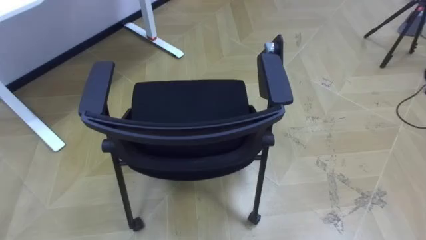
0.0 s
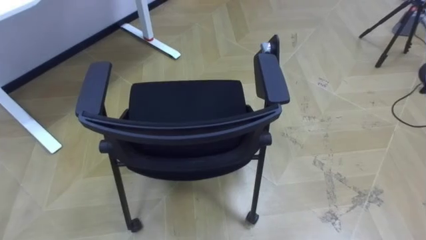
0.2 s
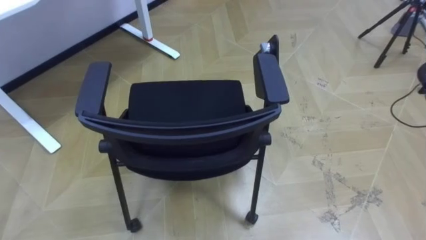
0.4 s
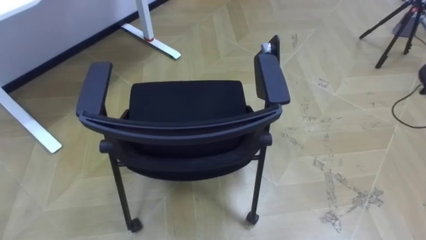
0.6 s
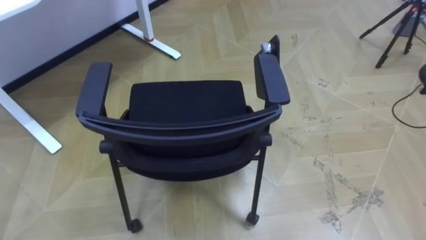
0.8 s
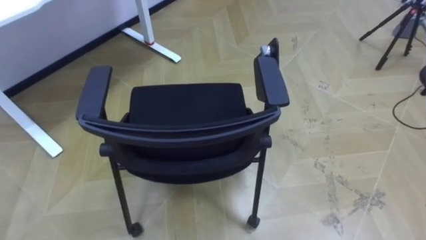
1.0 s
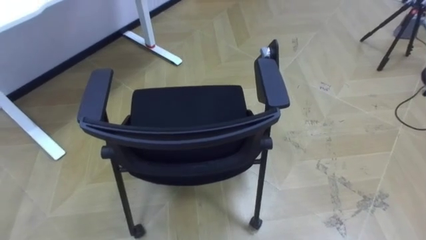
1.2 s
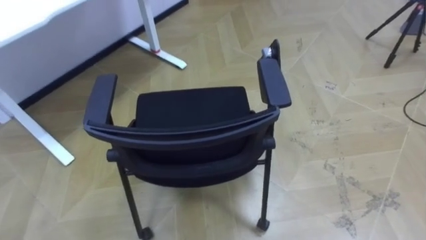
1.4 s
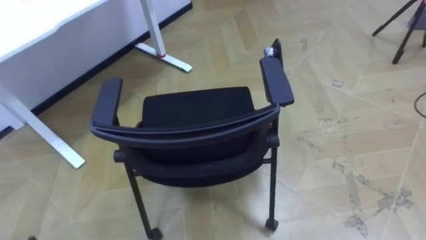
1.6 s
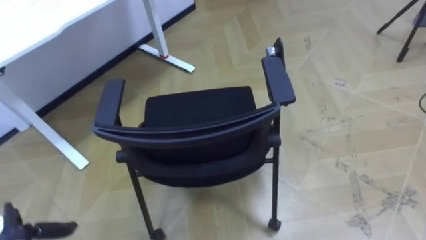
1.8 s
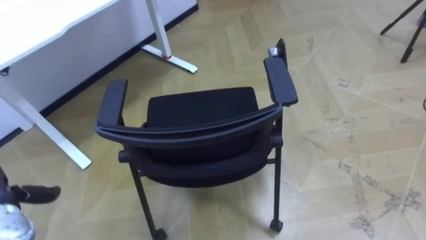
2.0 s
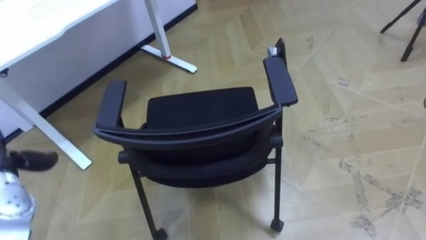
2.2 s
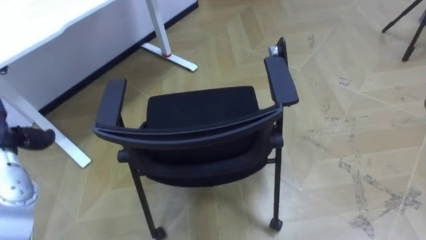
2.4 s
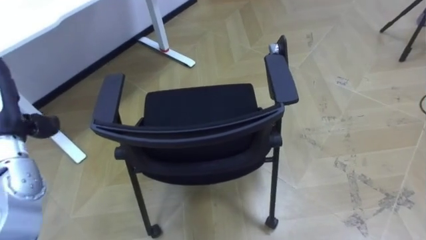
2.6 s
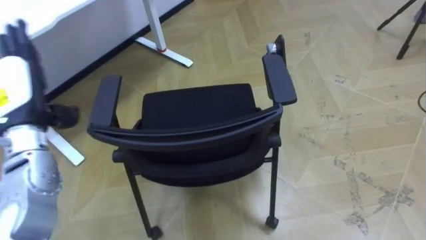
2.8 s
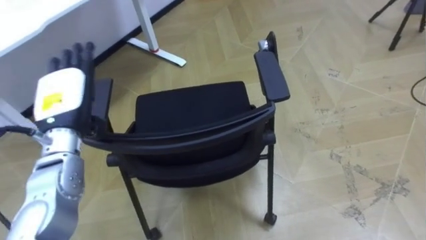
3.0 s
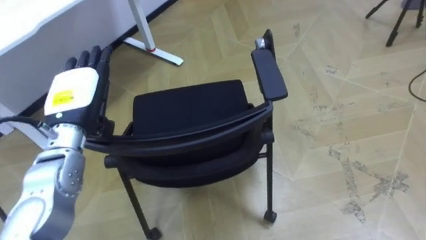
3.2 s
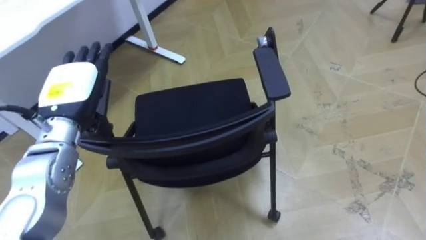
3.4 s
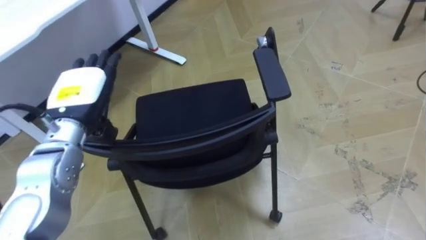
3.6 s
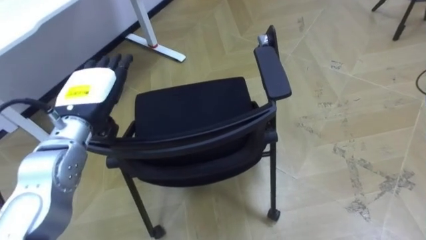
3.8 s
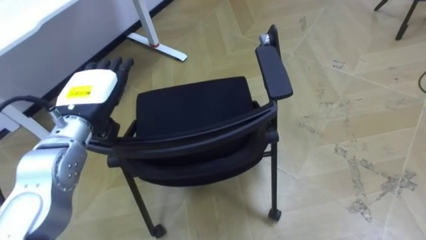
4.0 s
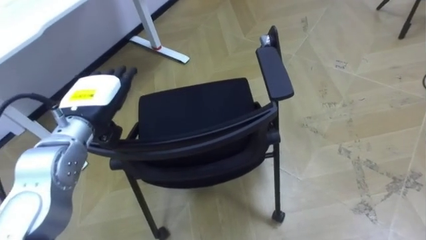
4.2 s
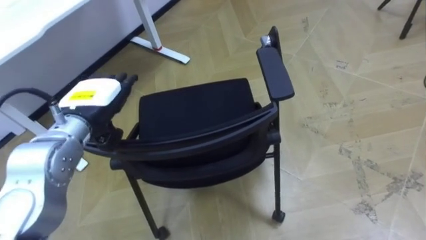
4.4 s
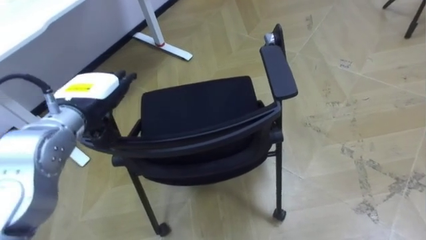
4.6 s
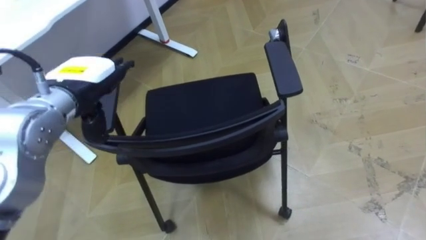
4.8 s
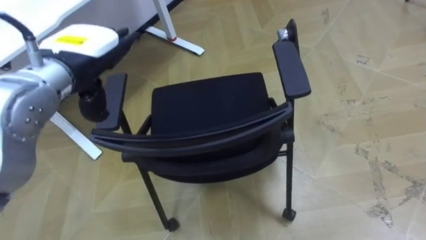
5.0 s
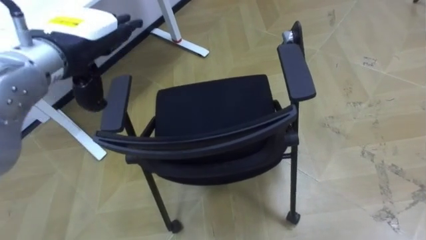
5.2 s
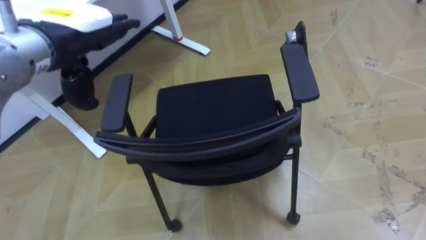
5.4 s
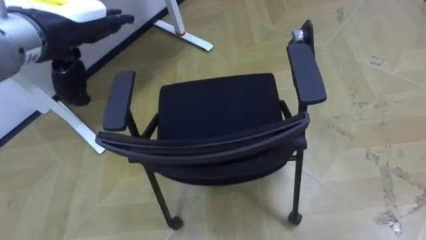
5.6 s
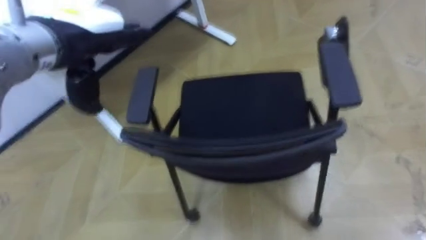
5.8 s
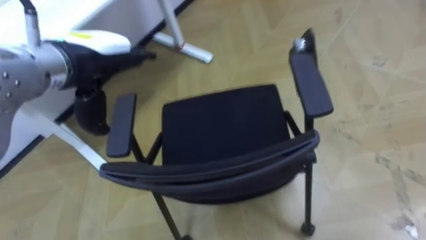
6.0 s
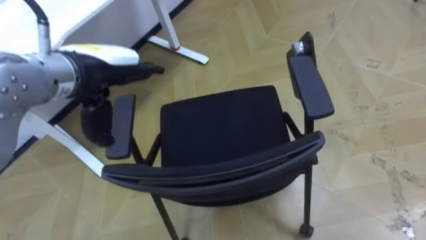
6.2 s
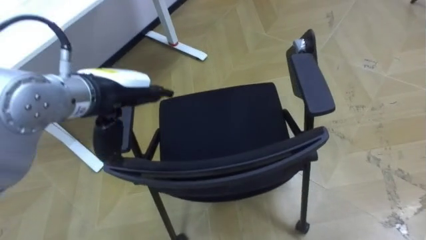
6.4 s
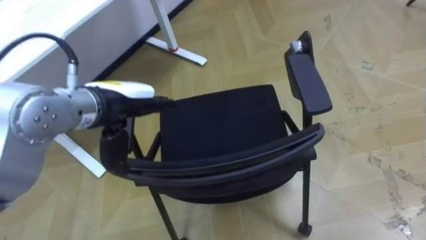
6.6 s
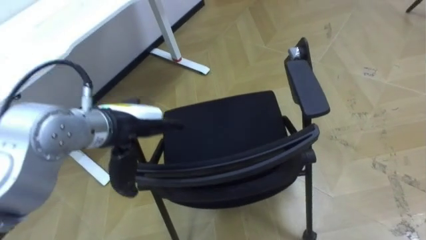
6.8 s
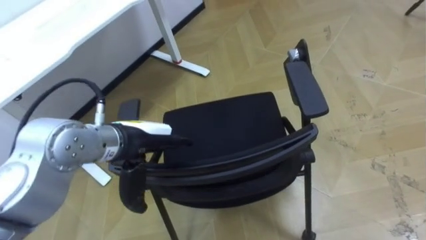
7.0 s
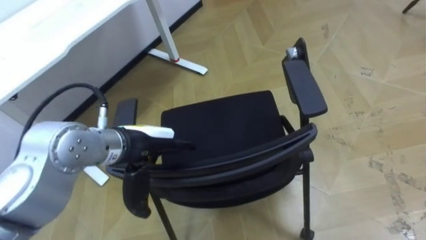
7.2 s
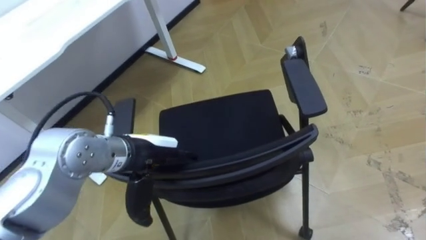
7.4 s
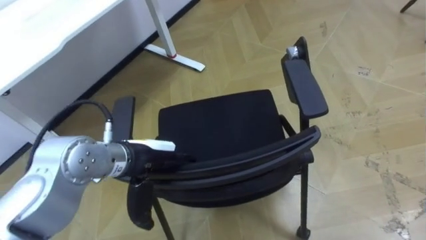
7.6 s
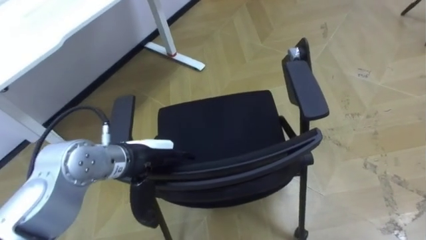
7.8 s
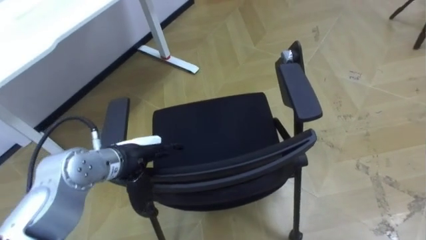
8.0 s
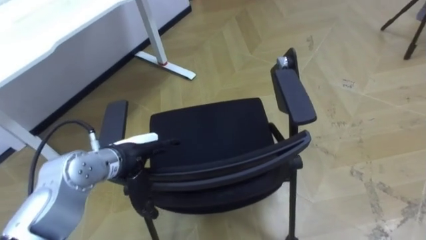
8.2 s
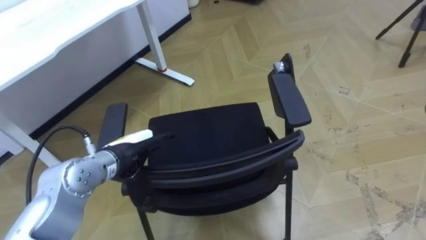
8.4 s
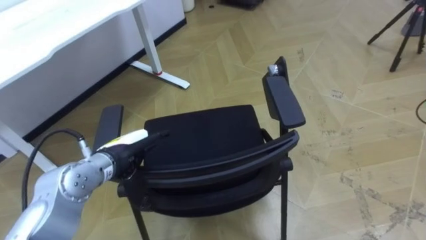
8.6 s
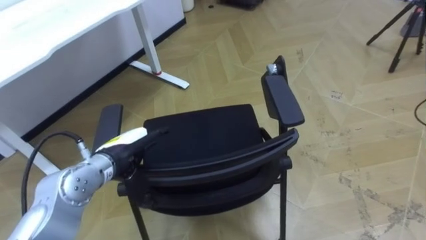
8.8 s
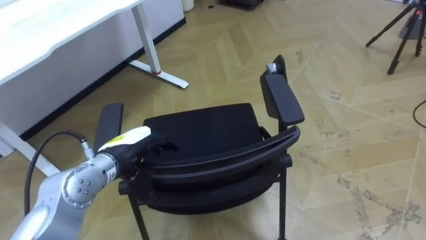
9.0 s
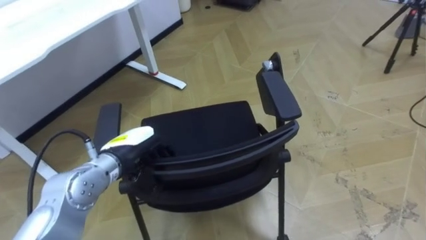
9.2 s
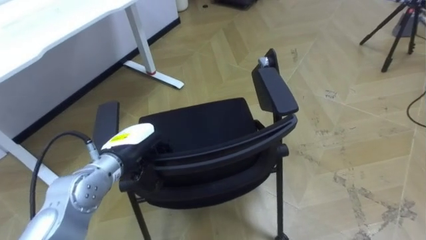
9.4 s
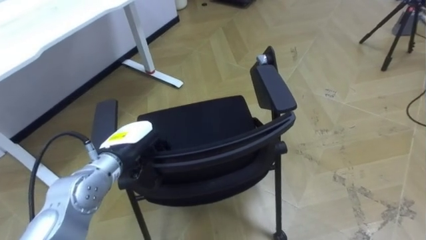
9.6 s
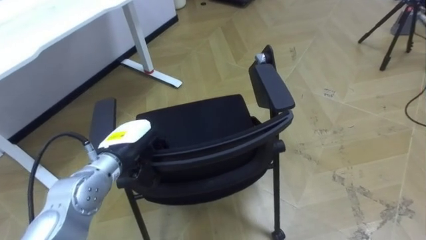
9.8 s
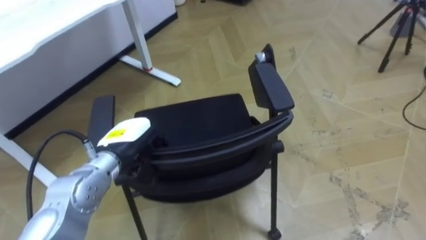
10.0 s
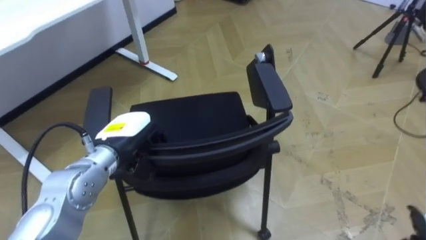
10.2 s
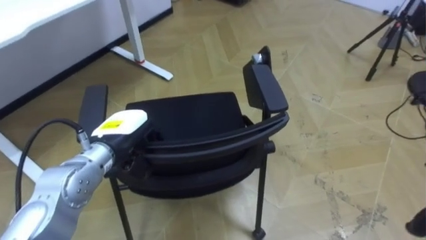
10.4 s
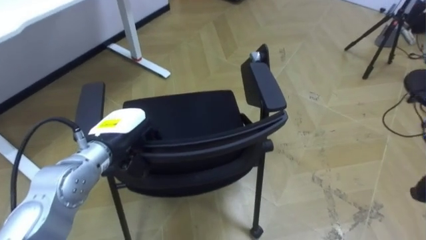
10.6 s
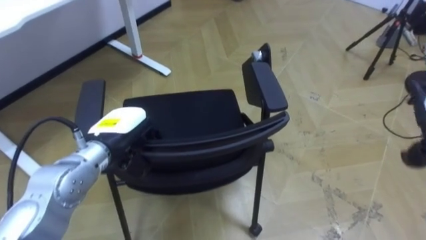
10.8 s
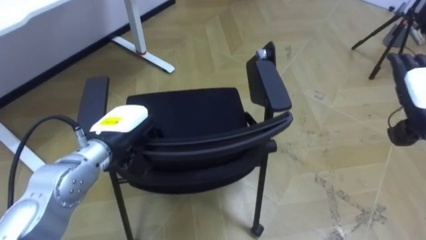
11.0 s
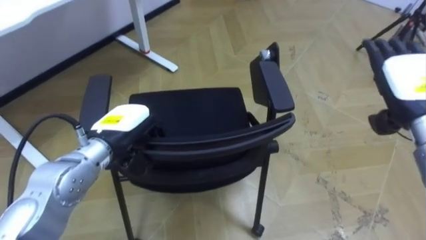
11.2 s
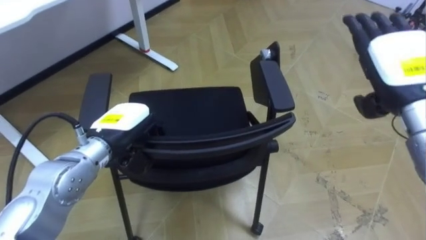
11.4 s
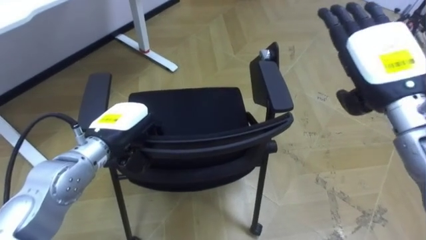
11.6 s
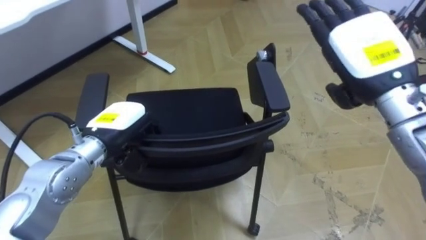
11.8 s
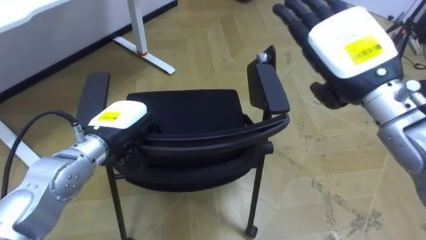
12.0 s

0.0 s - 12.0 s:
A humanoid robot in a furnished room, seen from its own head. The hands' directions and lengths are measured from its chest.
Task of the whole recording: Push the chair under the table.
4.4 s - 6.0 s: The left hand shifts some 10 cm upward.
6.0 s - 7.6 s: The left hand shifts some 15 cm downward and backward.
7.6 s - 9.0 s: The left hand ends up roughly 5 cm from where it was.
9.0 s - 10.4 s: The left hand closes.

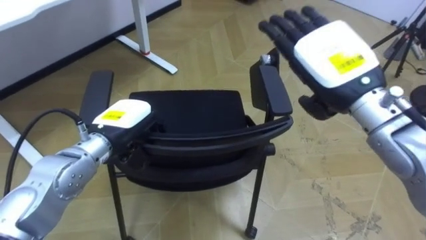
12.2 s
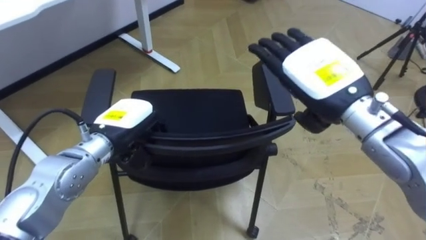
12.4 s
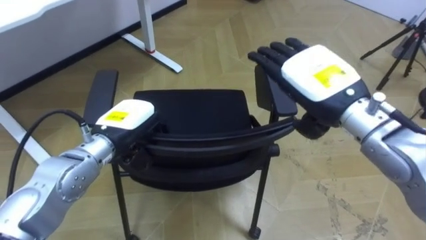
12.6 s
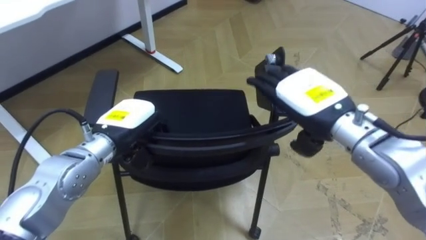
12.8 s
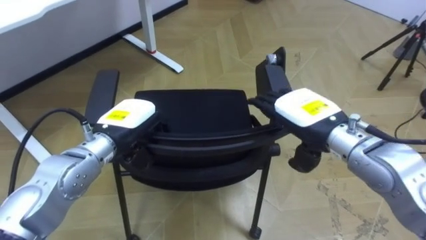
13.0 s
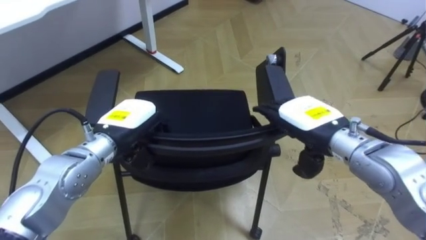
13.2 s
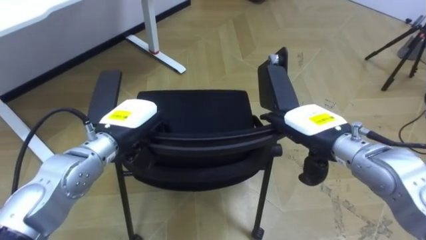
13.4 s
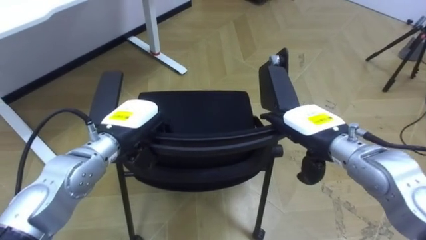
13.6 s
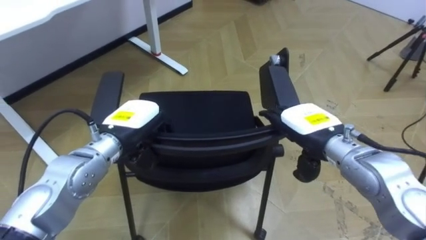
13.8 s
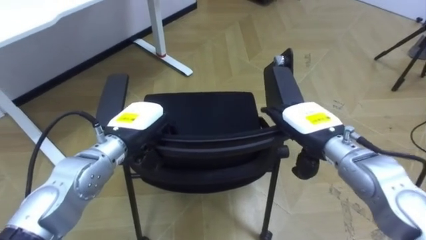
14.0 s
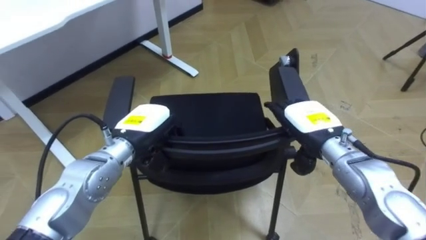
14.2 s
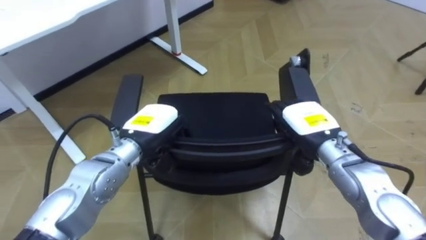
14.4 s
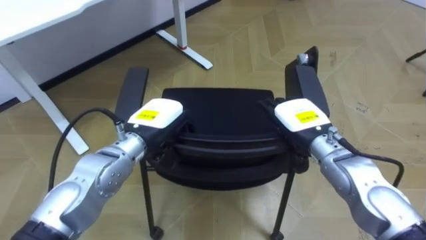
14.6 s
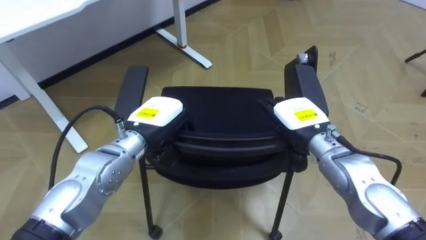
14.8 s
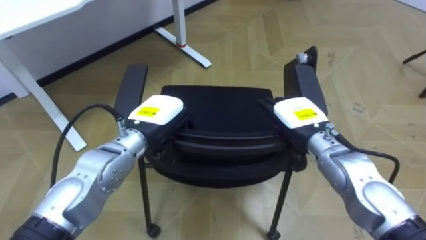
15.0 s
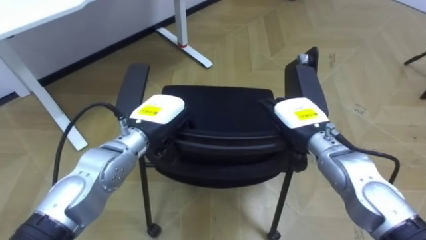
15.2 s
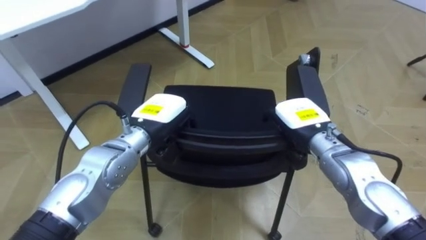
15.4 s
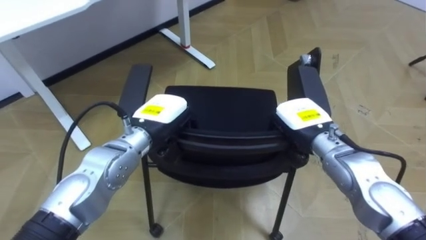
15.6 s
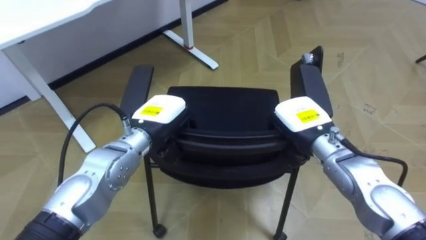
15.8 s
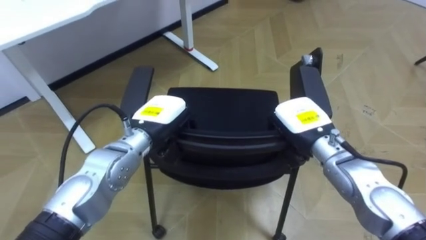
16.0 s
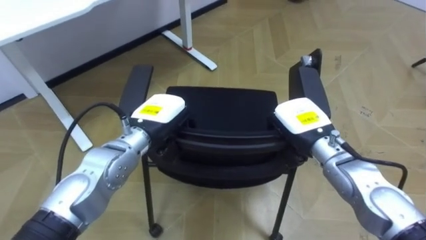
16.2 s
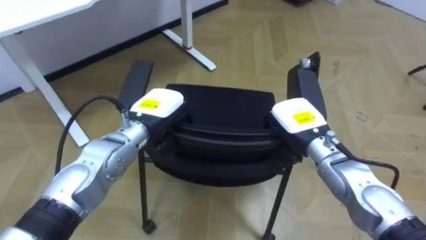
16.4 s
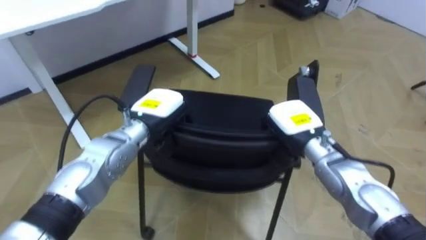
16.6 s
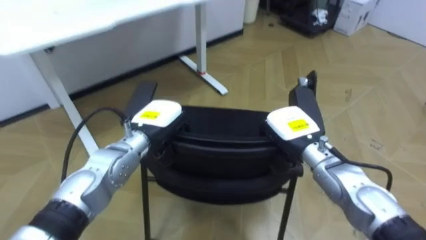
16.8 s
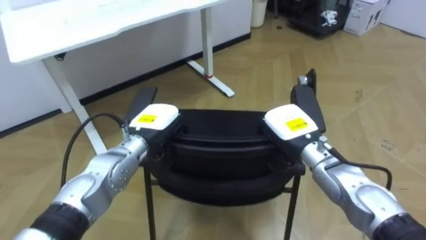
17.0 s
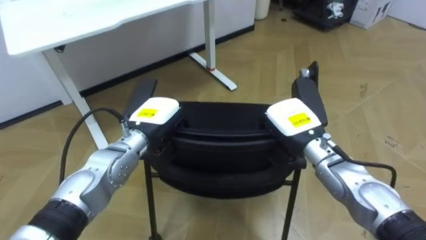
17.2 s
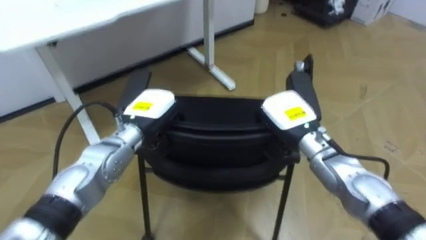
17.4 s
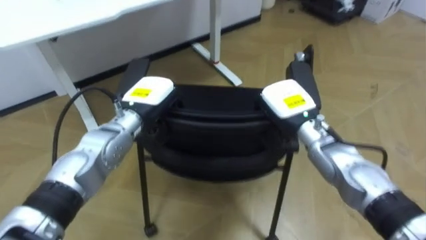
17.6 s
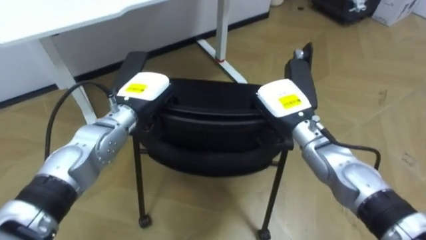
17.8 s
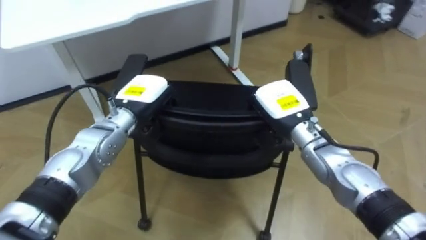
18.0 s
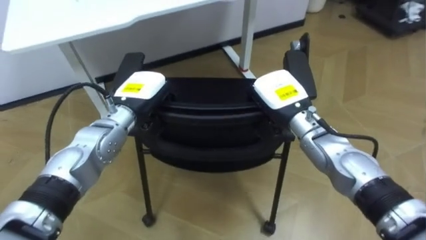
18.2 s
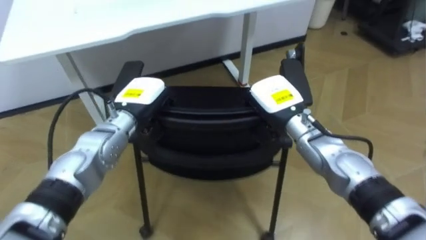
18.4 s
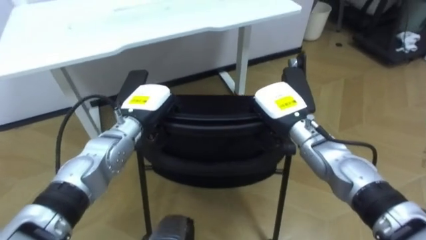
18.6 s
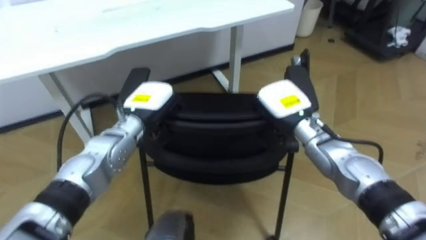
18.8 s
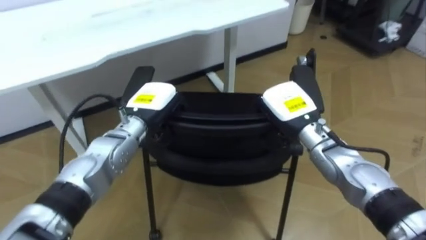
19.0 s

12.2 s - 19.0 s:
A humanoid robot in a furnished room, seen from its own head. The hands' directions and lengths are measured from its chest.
Task of the whole recording: Push the chair under the table.
12.2 s - 13.6 s: The right hand travels downward by roughly 15 cm.
13.6 s - 15.0 s: The left hand shifts by approximately 5 cm.
15.0 s - 16.2 s: The right hand closes up.
